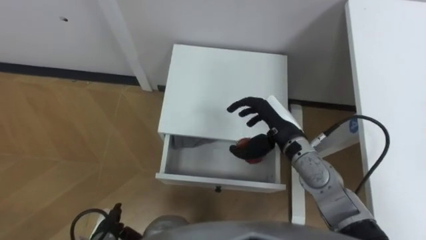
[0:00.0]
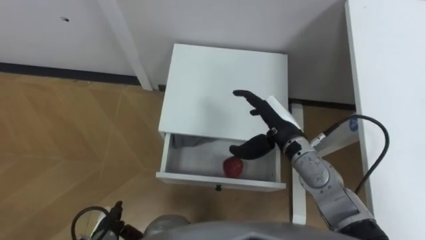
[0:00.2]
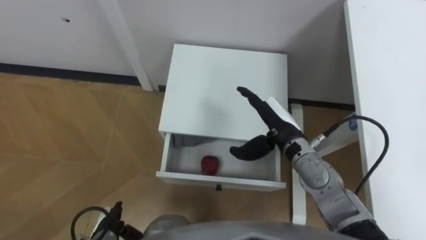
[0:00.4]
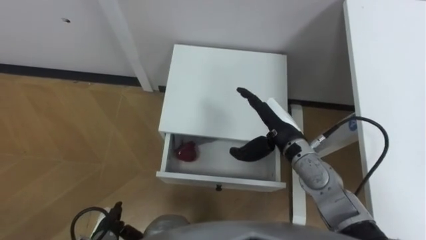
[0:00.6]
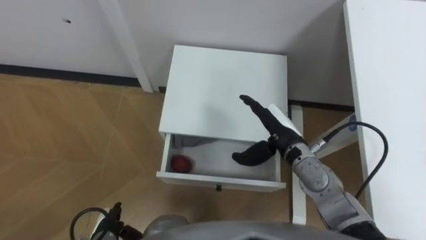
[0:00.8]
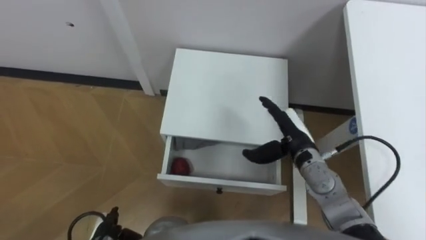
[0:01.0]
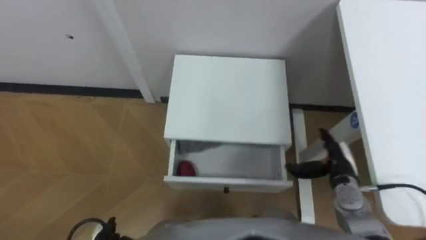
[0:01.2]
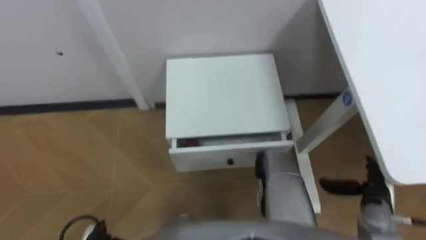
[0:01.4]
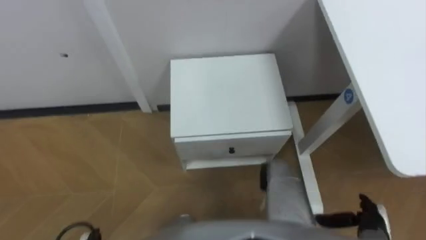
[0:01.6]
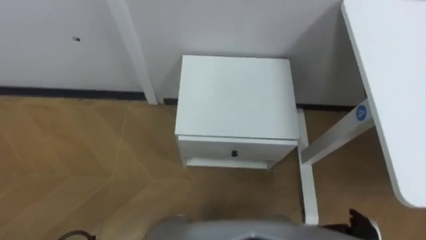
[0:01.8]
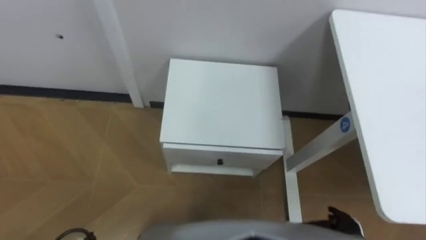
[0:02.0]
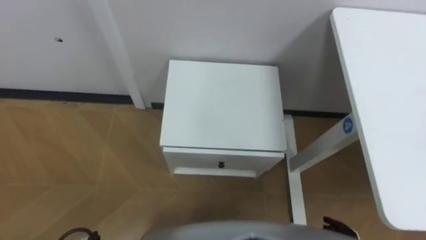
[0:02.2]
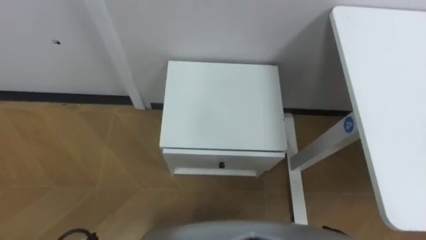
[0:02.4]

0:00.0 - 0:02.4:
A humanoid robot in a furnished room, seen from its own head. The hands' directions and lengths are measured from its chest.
Task of the whole recording: Pick up the apple from the table, put it in the drawer, and close the drawer with leg.
0:00.0 - 0:01.2: The right hand heads to the right, downward and backward, covering about 15 cm.

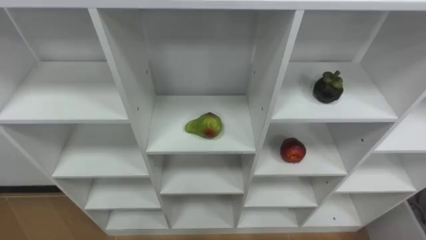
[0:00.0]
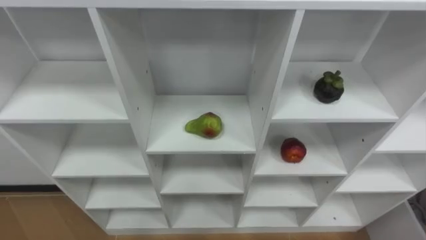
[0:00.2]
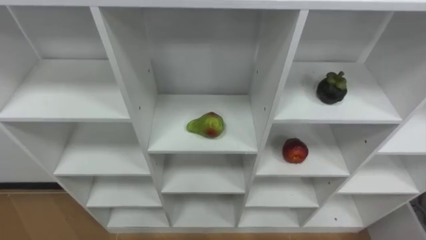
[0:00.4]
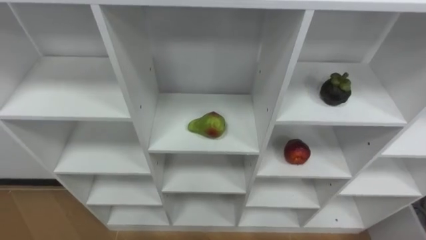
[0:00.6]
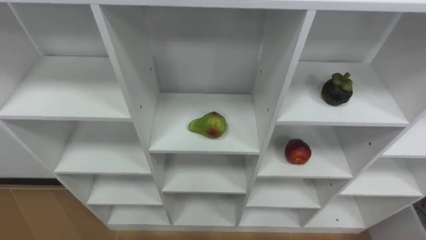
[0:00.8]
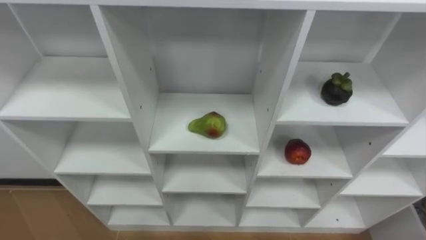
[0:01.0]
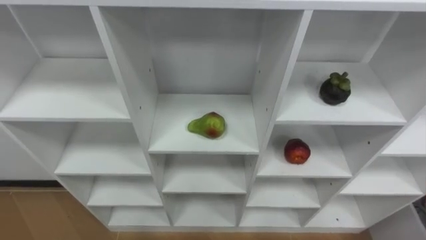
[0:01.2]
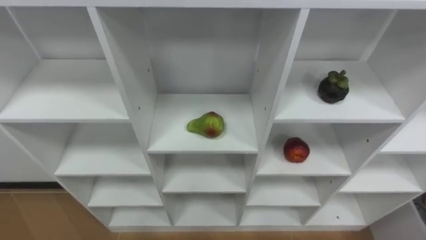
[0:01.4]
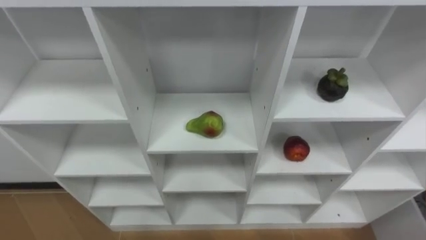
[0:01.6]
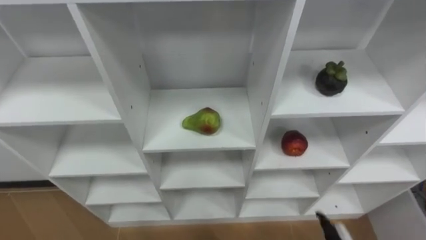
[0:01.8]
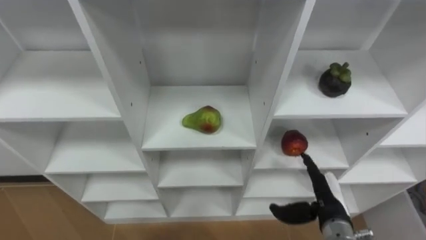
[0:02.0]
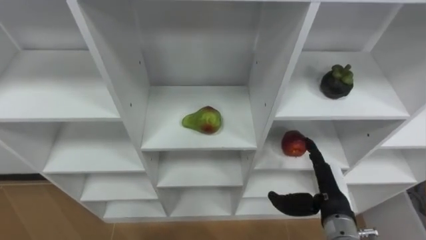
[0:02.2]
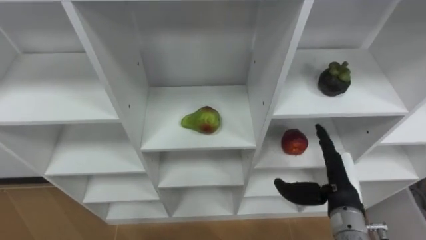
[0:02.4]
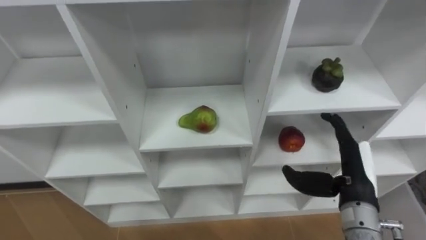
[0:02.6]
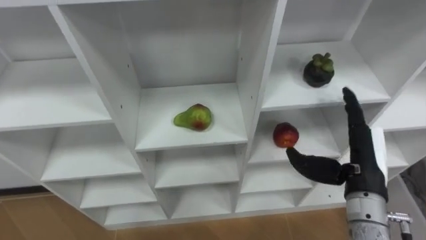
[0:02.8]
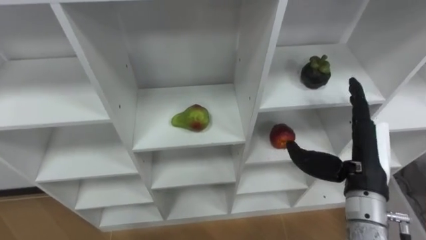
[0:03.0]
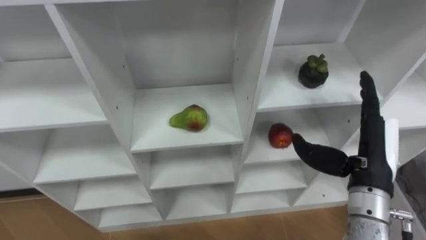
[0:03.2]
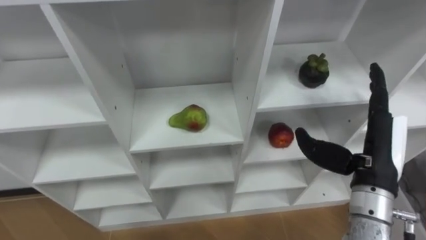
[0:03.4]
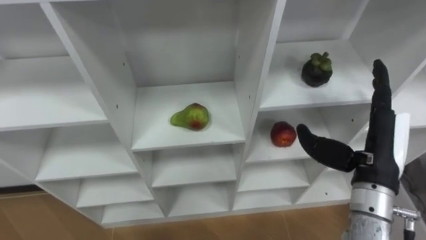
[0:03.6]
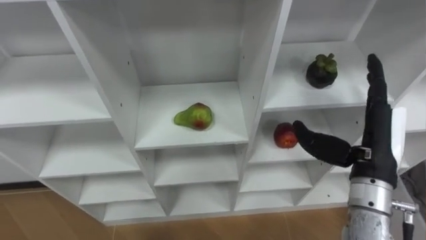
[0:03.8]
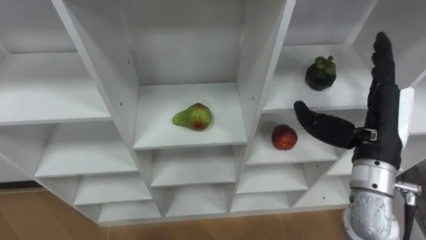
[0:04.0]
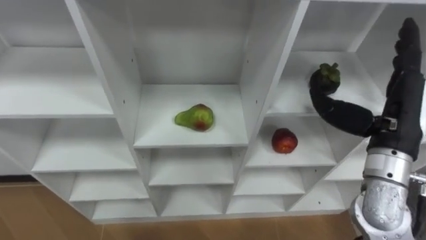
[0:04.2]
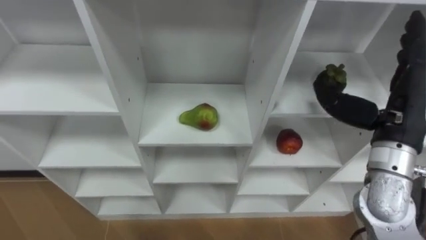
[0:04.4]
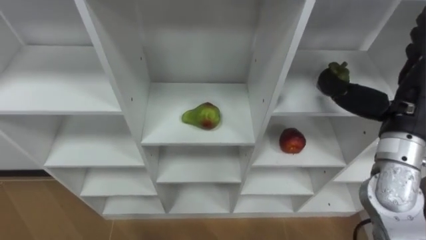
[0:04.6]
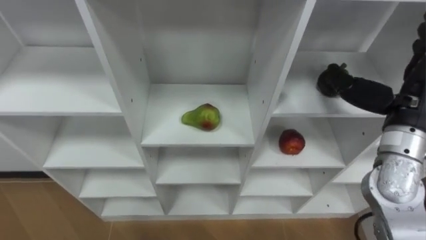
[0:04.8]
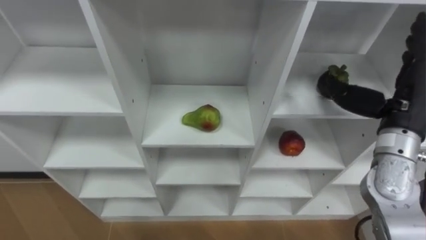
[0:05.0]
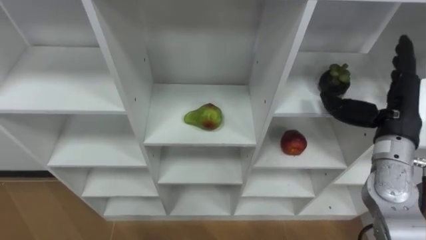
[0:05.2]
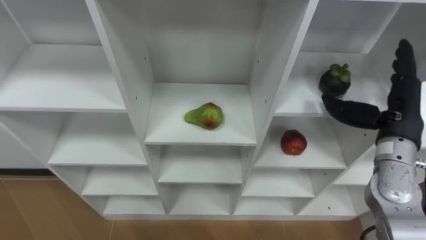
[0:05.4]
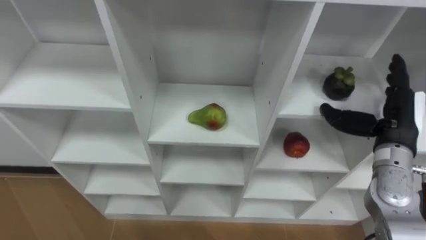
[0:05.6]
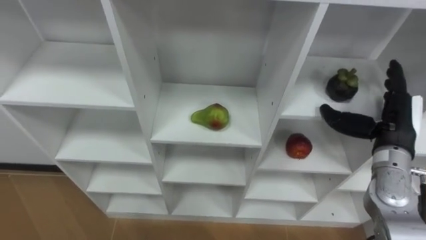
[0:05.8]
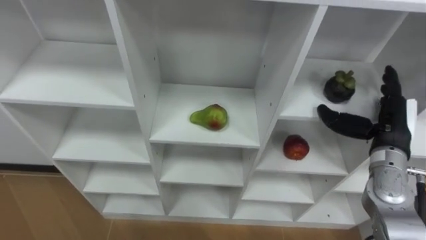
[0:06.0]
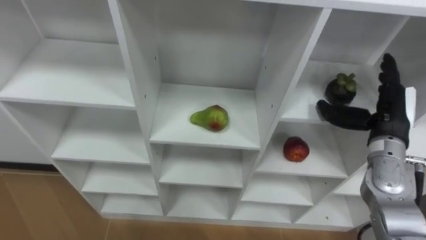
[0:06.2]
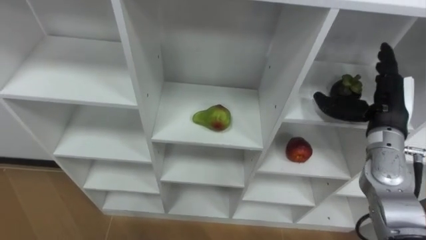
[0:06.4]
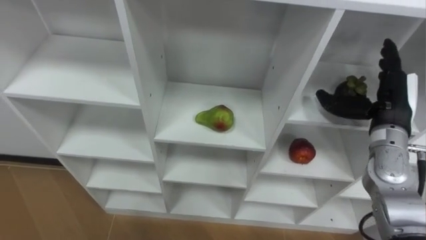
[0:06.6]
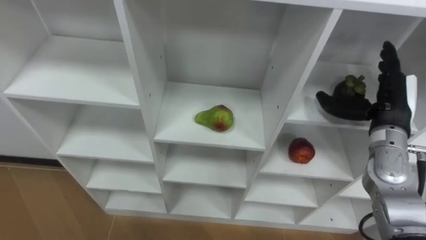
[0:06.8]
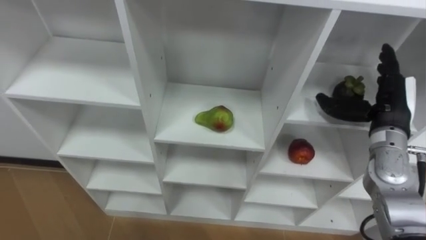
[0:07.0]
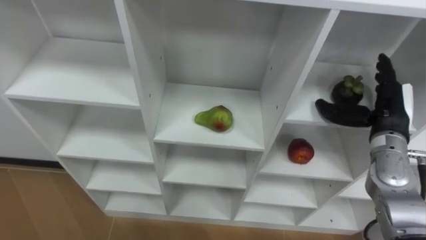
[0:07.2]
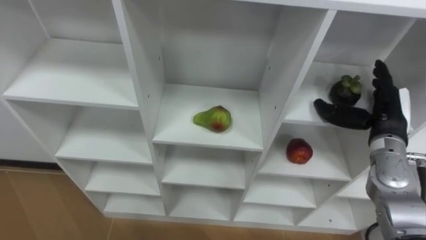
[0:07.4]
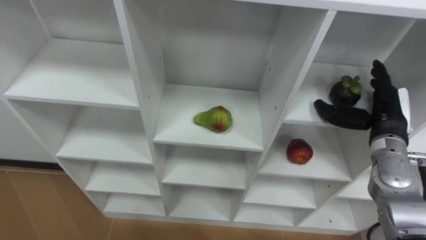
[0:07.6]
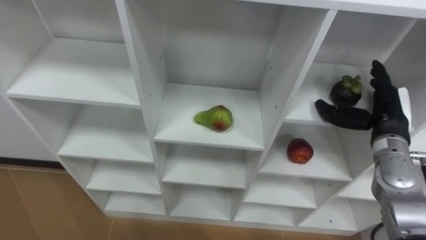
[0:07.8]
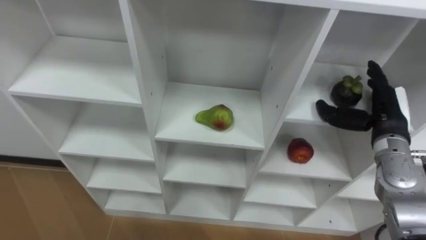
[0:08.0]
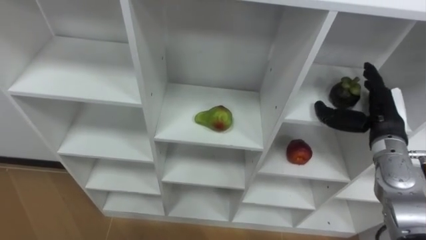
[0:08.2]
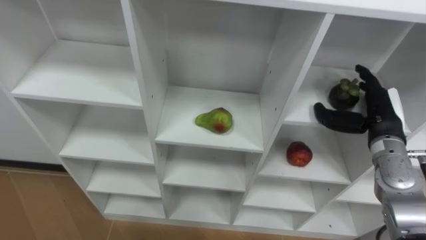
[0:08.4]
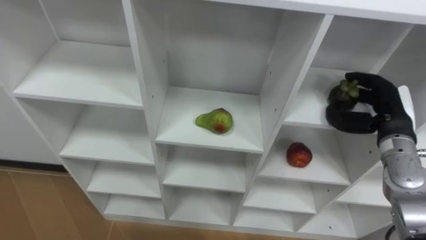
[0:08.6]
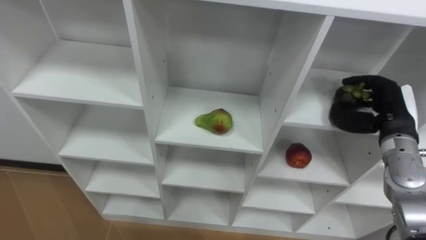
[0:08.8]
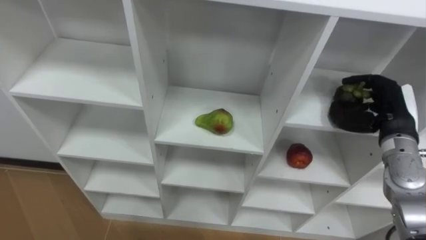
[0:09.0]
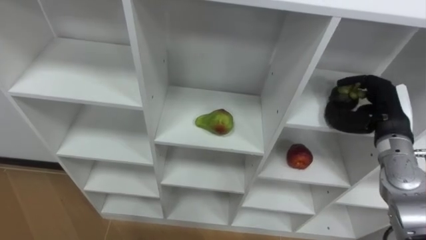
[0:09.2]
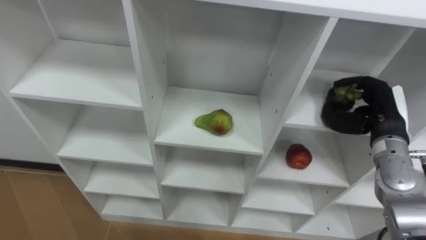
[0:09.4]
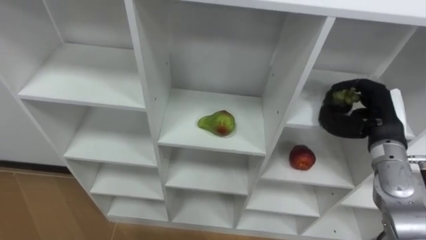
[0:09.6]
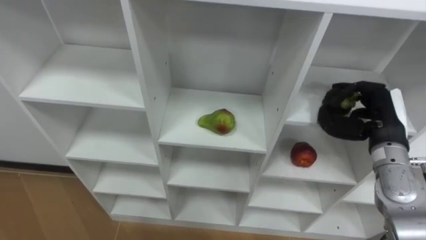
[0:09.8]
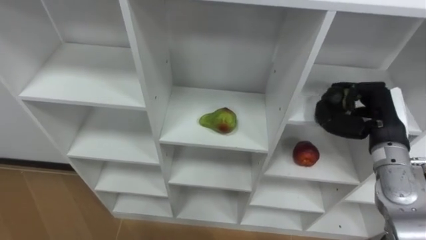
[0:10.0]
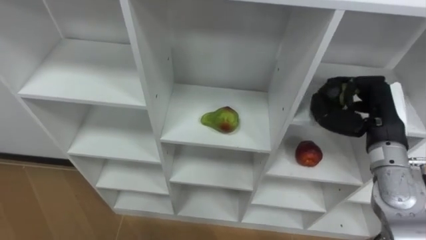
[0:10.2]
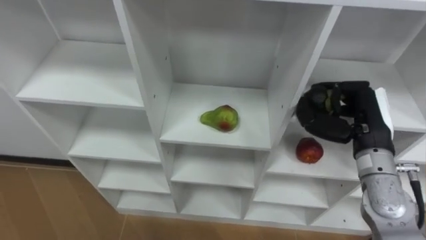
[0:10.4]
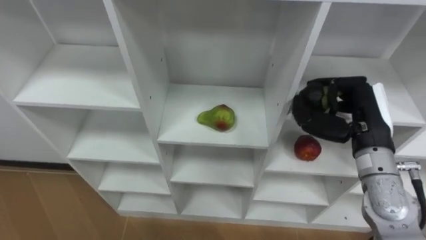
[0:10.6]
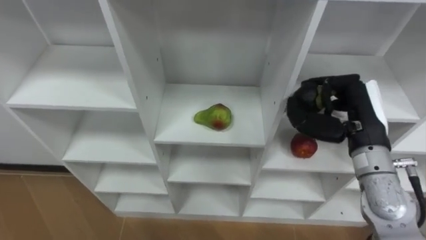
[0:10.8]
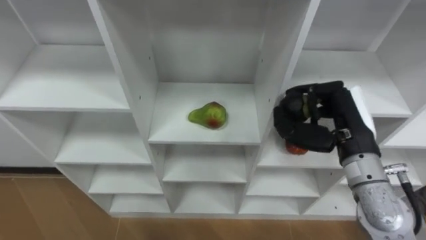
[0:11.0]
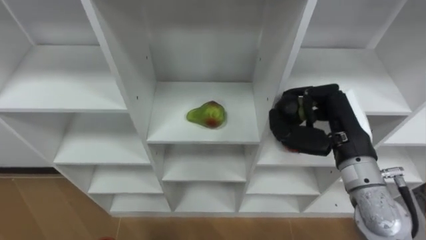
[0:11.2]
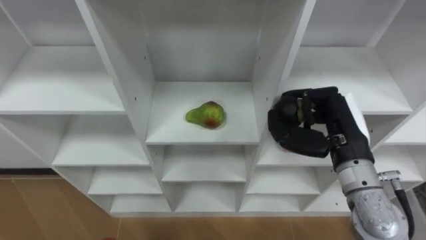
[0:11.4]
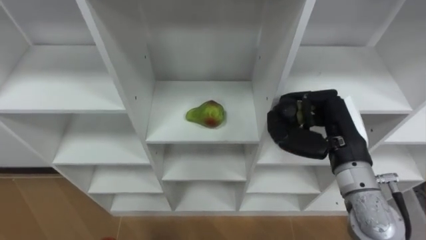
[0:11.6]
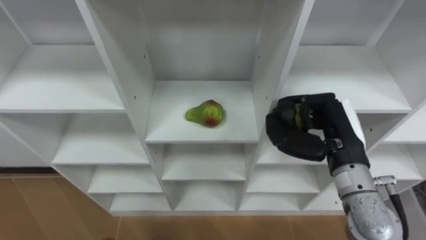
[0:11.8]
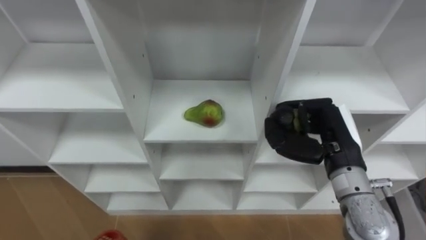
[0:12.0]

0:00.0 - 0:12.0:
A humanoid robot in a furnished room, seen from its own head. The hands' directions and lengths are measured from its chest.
Task of the whole recording: Hold the basket and collect the fruits from 3 different cells of the closet into it.
0:03.0 - 0:04.4: The right hand heads upward, covering some 5 cm.
0:04.4 - 0:06.0: The right hand shifts roughly 10 cm downward.
0:07.6 - 0:09.0: The right hand closes up.
0:09.0 - 0:10.4: The right hand is displaced to the left by roughly 5 cm.
0:10.4 - 0:12.0: The right hand goes approximately 5 cm to the left.

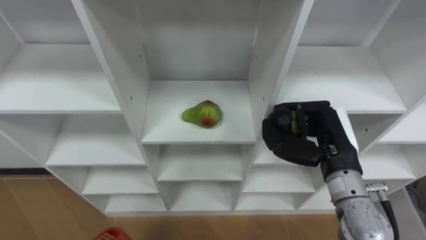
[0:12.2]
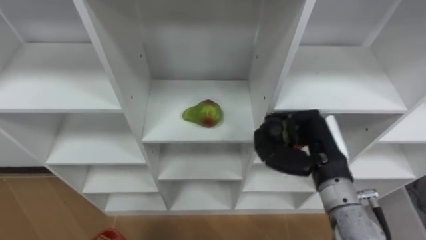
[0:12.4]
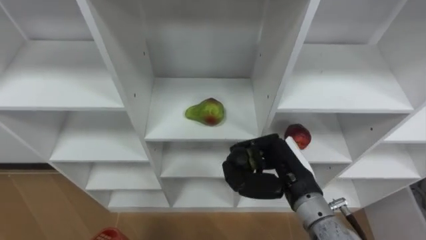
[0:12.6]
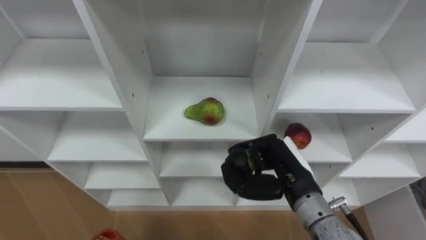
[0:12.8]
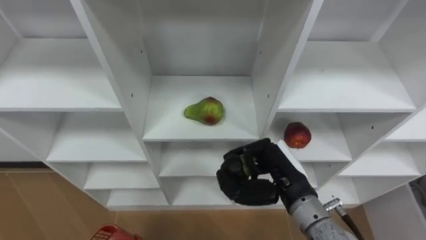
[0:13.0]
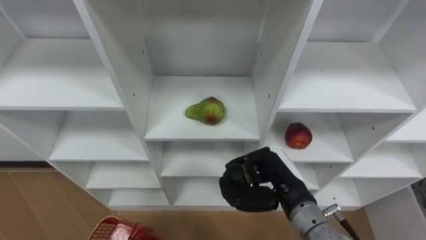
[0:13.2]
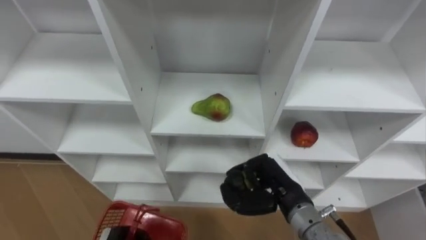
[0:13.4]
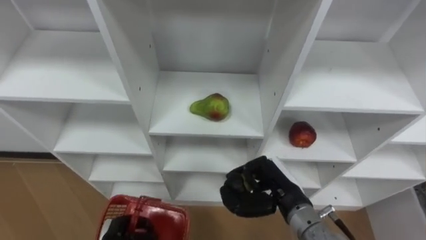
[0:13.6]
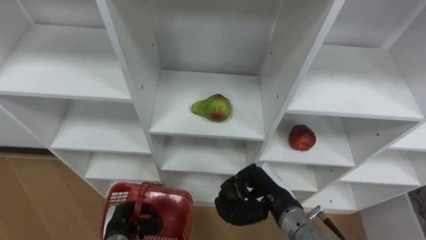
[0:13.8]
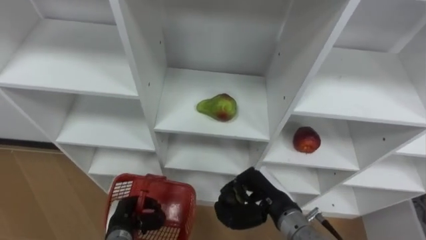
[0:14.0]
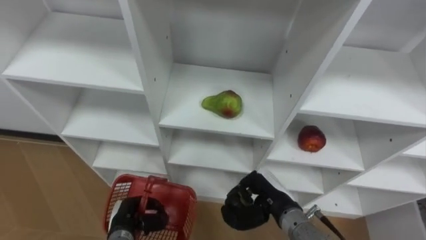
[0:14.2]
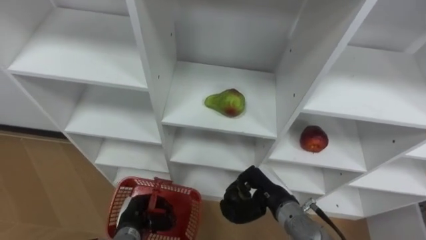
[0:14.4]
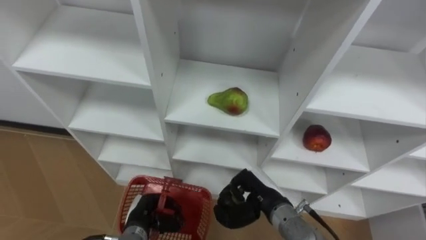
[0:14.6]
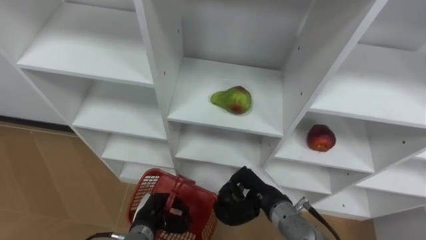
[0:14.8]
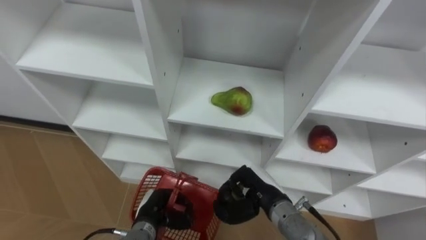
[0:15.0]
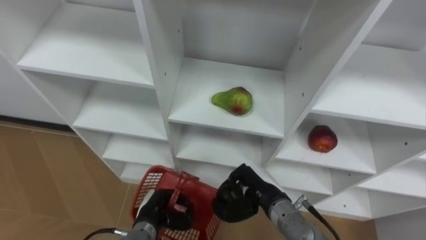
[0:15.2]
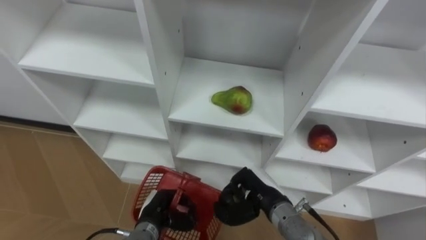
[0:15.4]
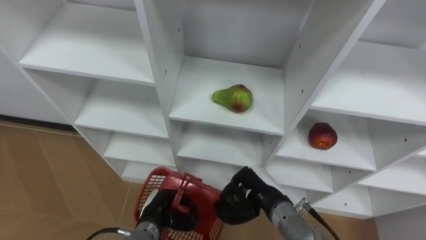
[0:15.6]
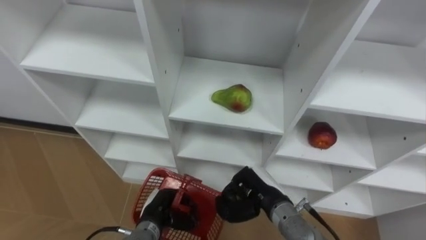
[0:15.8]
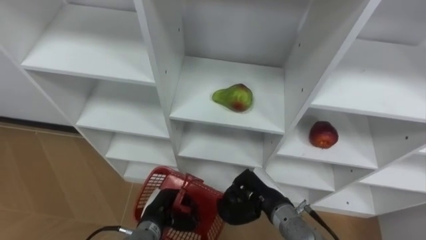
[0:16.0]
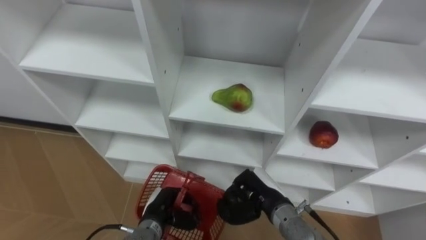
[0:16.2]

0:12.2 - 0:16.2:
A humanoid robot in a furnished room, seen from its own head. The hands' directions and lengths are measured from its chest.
Task of the whole recording: Hold the basket and collect the fruits from 3 different cells of the closet into it.
0:12.2 - 0:13.6: The right hand shifts approximately 10 cm downward and to the left.
0:13.6 - 0:14.8: The left hand is displaced to the right by roughly 5 cm. The right hand moves some 5 cm.
0:14.8 - 0:16.2: The hands make only small movements.
